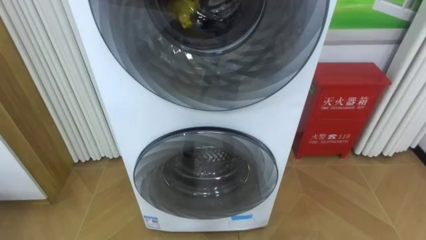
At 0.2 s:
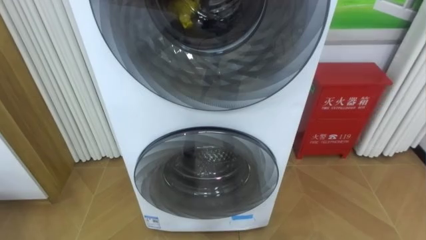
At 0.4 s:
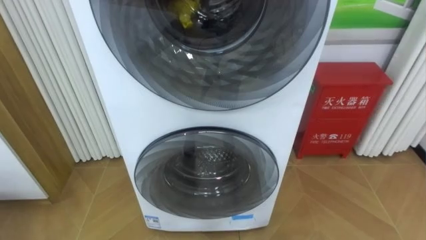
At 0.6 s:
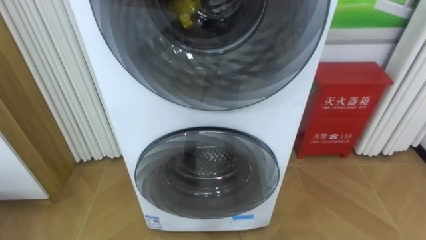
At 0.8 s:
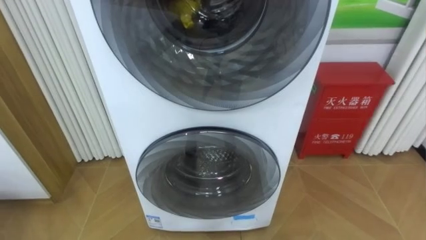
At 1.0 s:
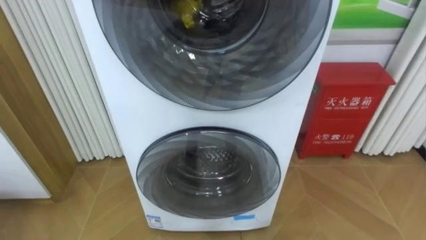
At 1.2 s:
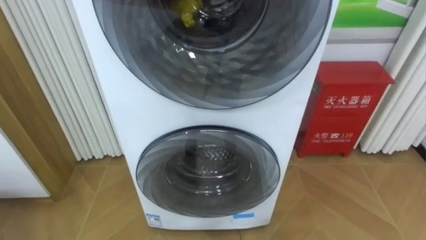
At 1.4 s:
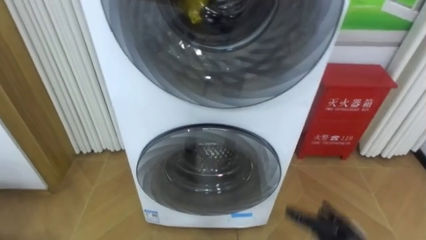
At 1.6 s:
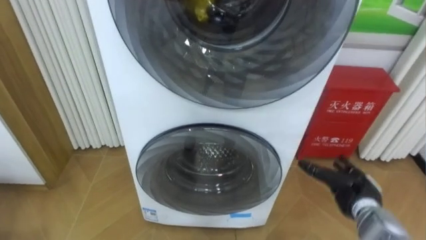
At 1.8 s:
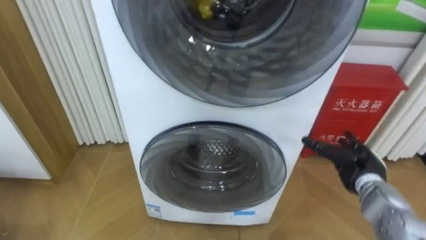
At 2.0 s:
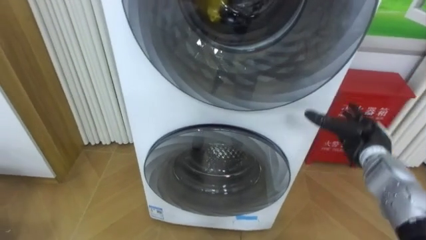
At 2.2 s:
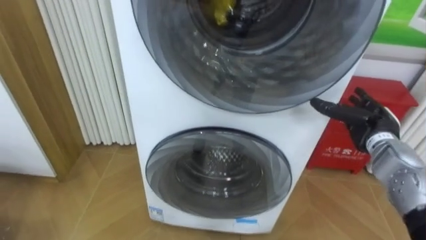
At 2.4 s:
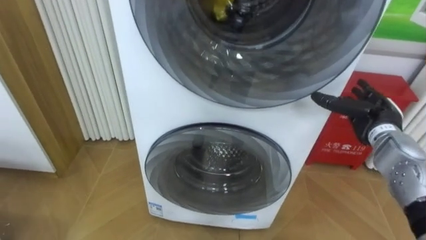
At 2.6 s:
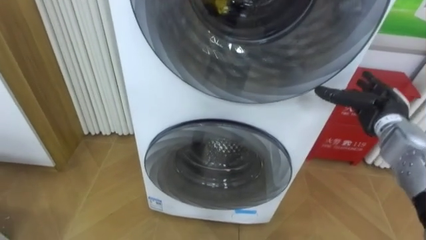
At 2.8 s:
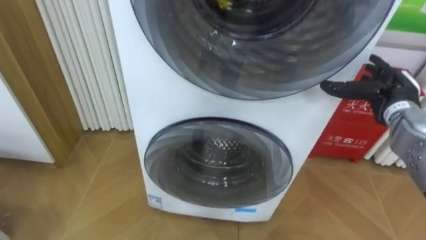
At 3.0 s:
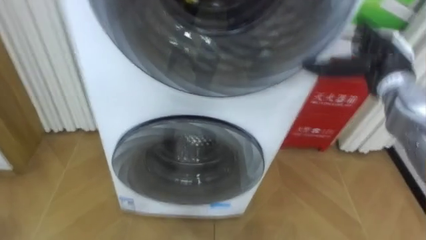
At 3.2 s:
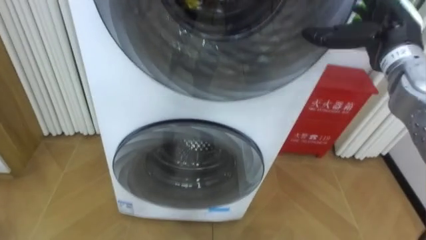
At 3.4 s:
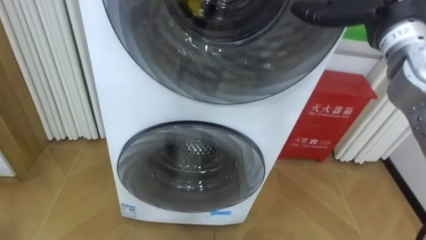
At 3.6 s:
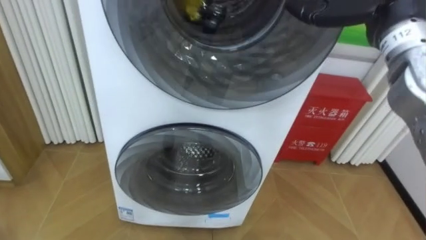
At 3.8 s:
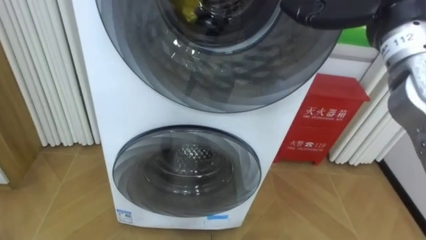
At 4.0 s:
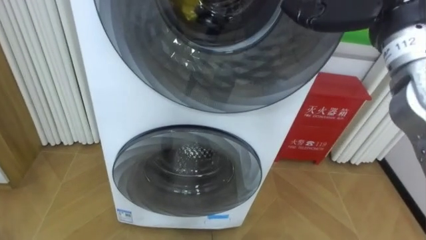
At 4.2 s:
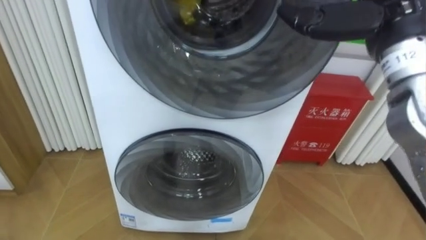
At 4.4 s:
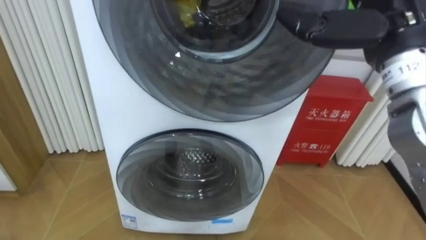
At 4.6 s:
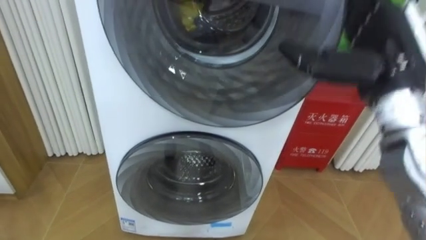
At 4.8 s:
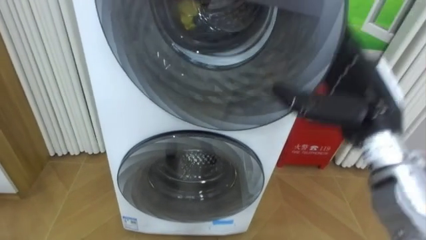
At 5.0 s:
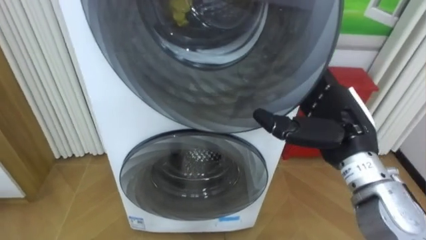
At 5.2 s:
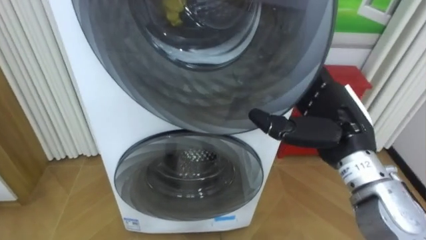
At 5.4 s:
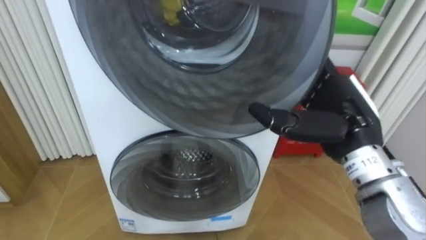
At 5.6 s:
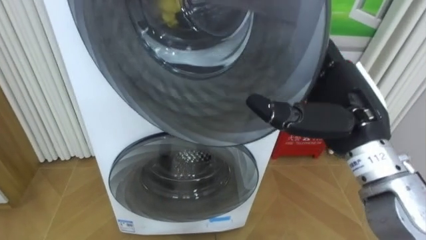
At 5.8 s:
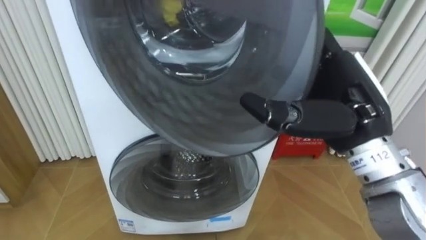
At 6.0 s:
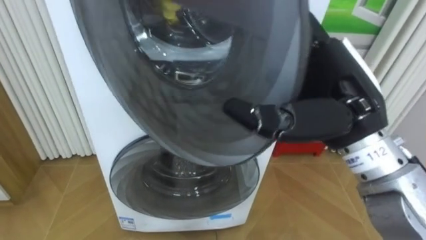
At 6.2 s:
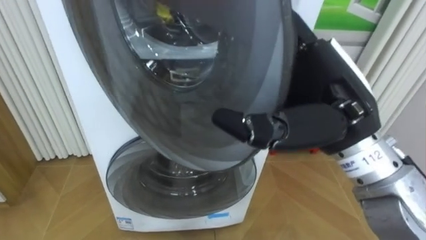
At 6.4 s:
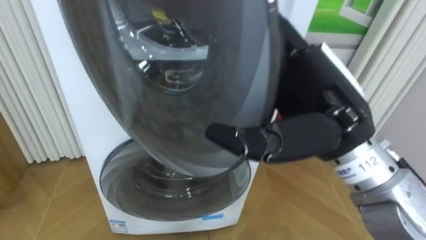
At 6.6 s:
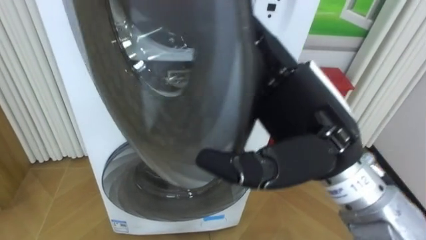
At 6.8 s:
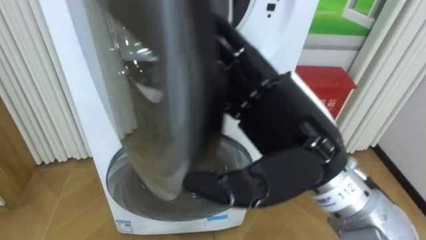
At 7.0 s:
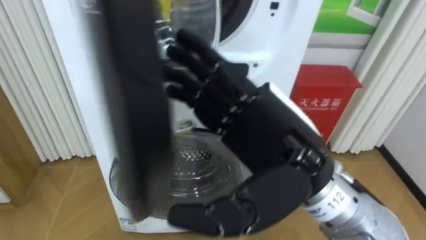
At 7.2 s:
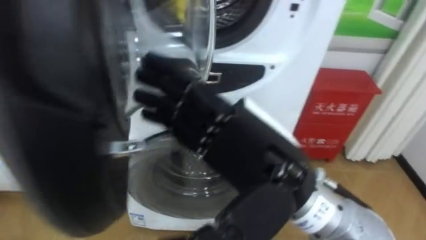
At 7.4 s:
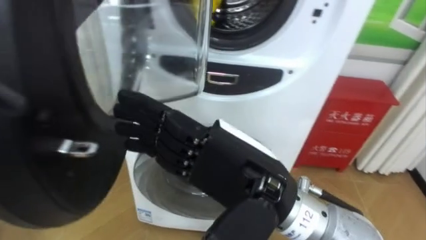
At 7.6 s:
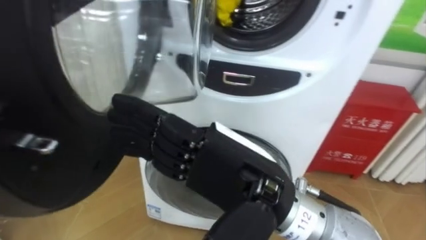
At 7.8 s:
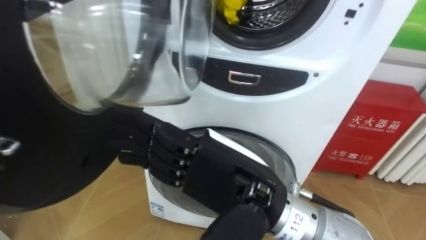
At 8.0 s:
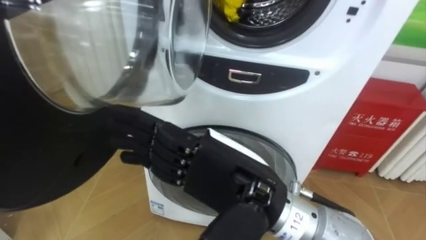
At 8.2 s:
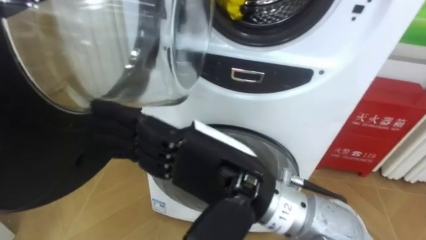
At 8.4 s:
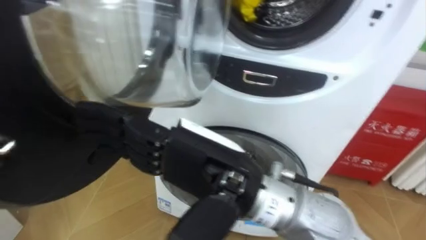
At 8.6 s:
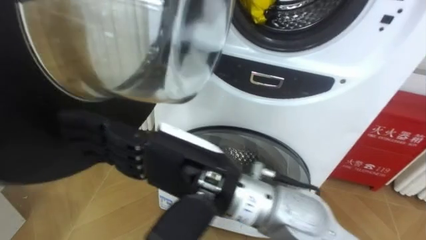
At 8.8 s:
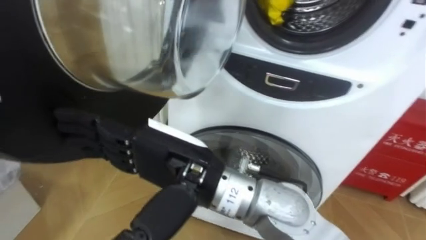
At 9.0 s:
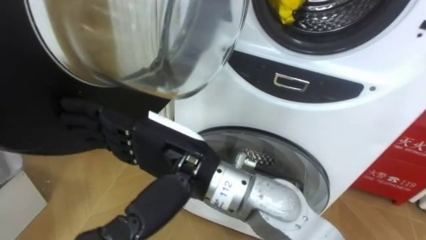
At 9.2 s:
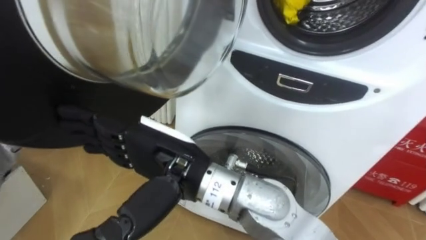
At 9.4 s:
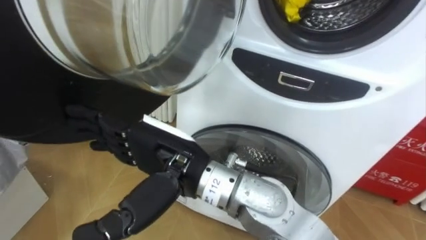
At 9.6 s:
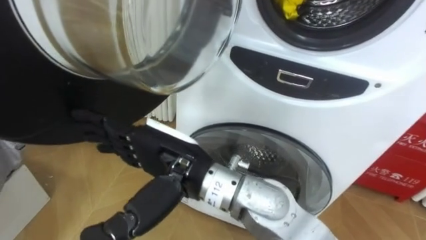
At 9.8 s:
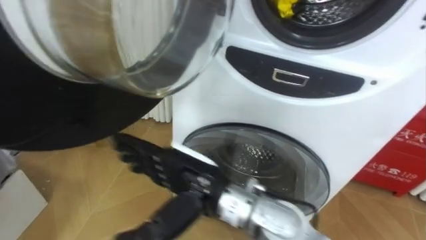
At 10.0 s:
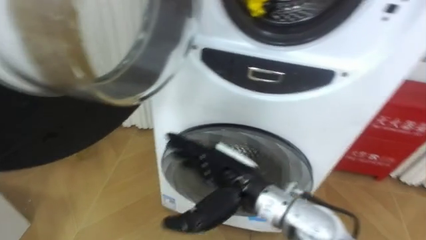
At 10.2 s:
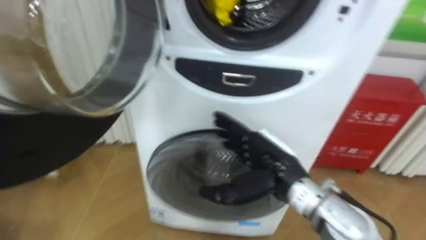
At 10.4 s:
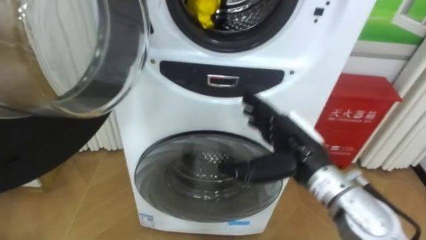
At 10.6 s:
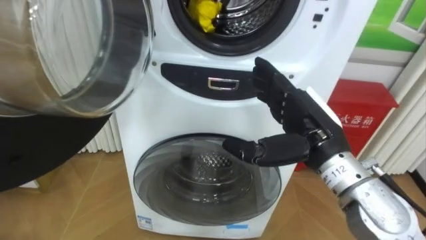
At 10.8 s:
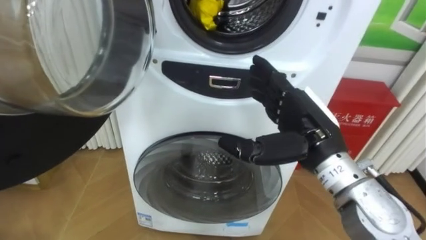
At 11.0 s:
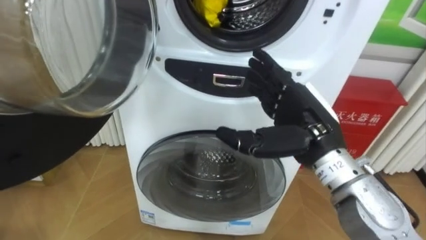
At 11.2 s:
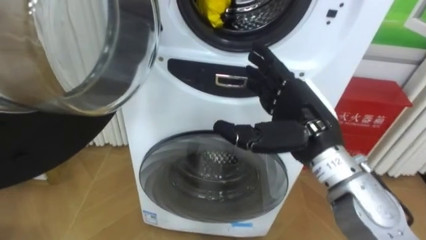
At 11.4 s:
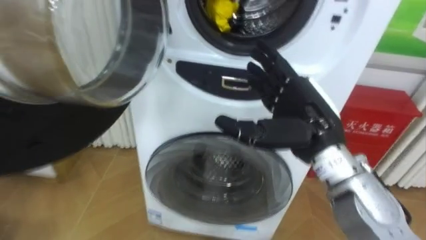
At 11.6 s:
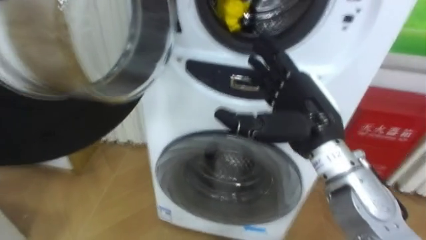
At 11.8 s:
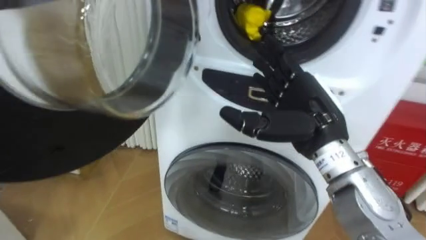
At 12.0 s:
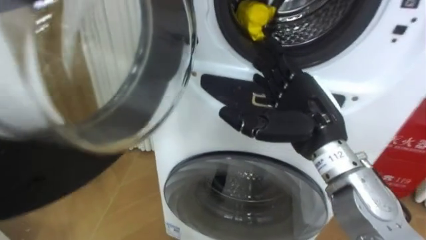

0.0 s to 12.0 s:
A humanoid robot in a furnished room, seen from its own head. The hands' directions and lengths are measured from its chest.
Task of the whole recording: Open the washing machine door, take out the yellow clothes, place them in the box on the right, and close the washing machine door.
1.6 to 3.0 s: The right hand is displaced upward and forward by approximately 25 cm.
4.4 to 6.0 s: The right hand moves backward, to the left and downward, some 10 cm.
6.0 to 7.6 s: The right hand travels to the left and backward by approximately 15 cm.
7.6 to 9.0 s: The right hand heads to the left, covering approximately 10 cm.
9.0 to 10.4 s: The right hand goes approximately 20 cm to the right, downward and forward.
10.4 to 12.0 s: The right hand moves upward, about 5 cm.

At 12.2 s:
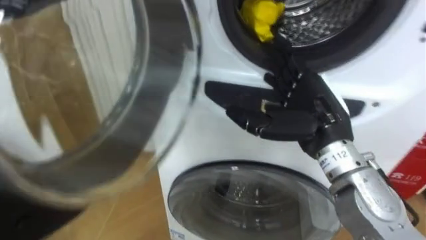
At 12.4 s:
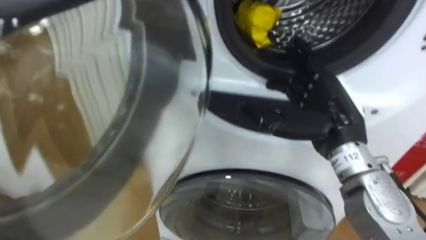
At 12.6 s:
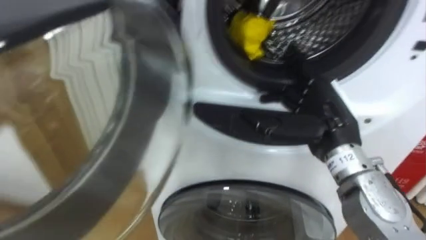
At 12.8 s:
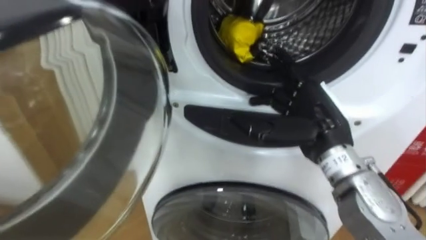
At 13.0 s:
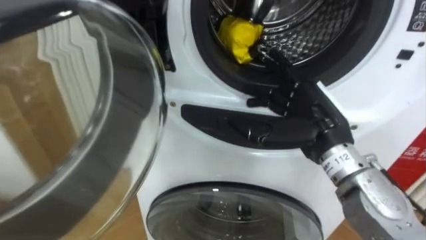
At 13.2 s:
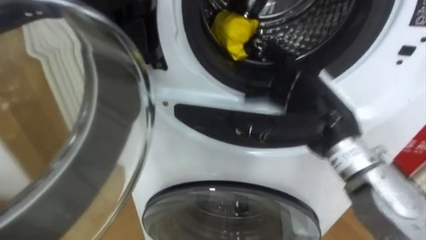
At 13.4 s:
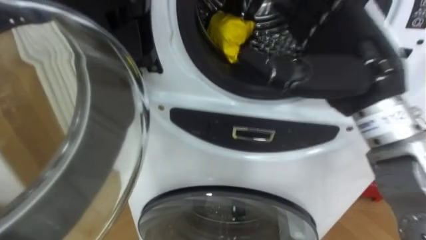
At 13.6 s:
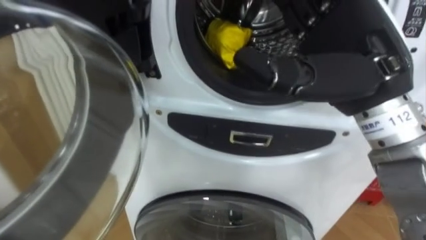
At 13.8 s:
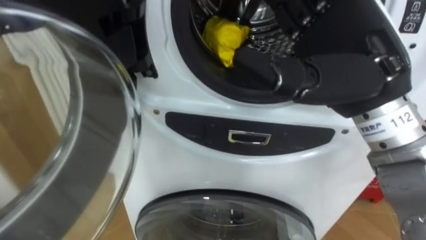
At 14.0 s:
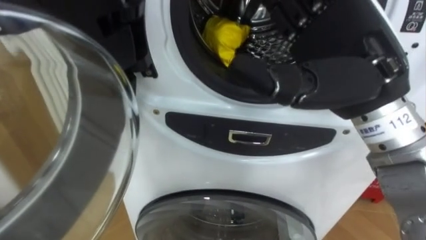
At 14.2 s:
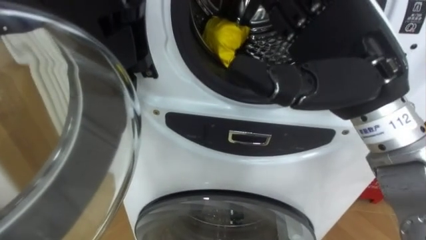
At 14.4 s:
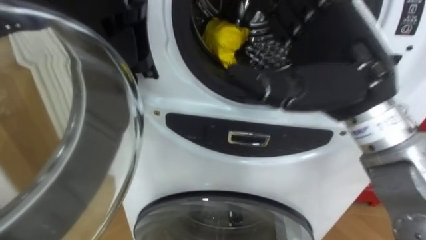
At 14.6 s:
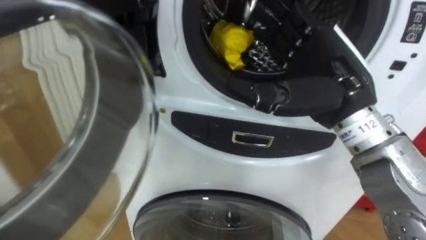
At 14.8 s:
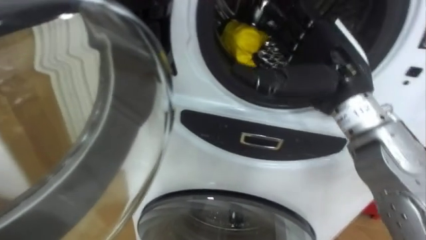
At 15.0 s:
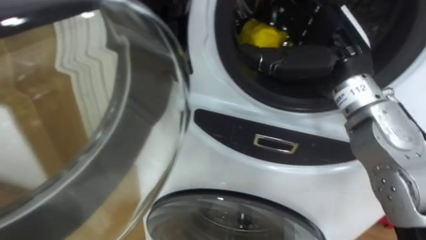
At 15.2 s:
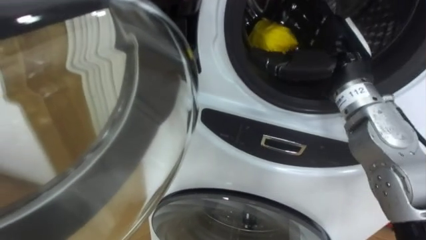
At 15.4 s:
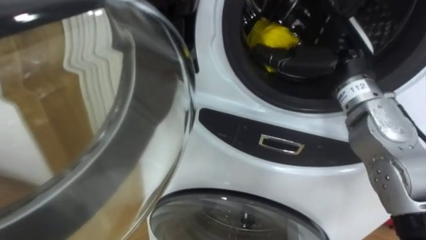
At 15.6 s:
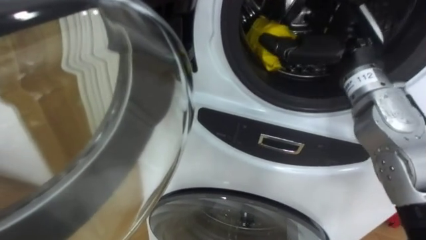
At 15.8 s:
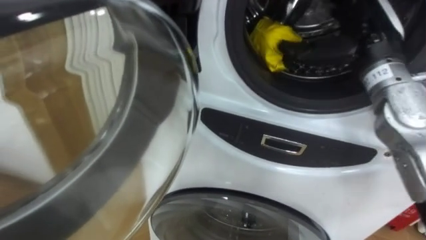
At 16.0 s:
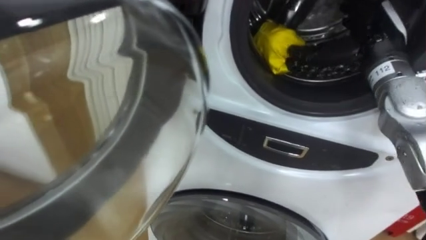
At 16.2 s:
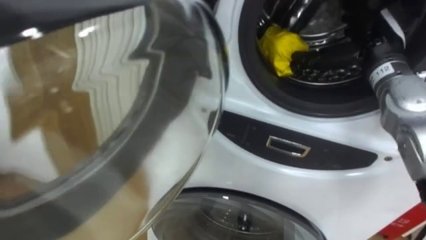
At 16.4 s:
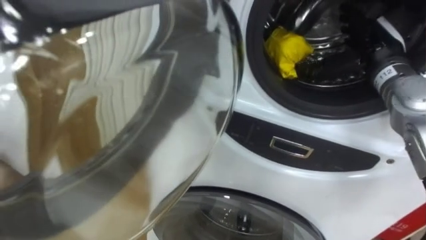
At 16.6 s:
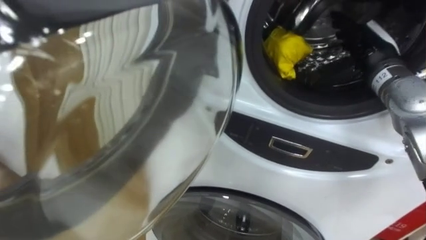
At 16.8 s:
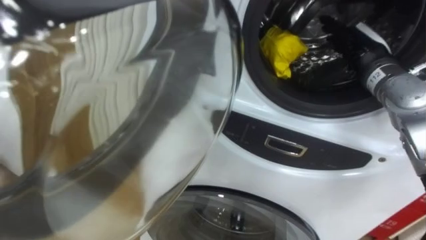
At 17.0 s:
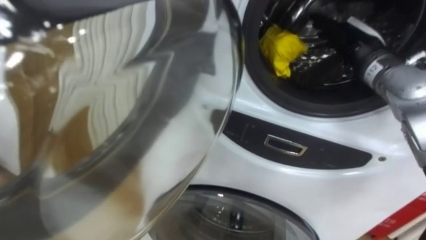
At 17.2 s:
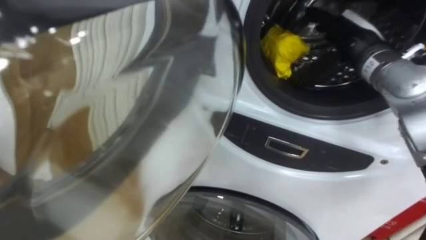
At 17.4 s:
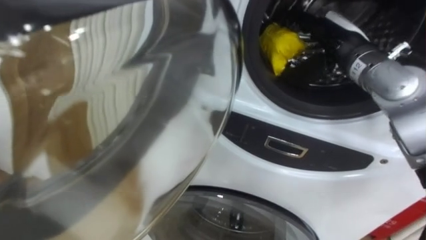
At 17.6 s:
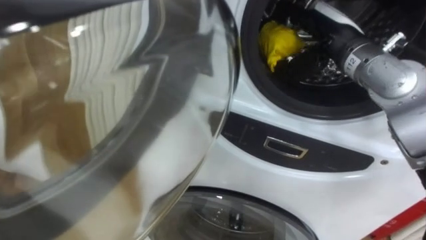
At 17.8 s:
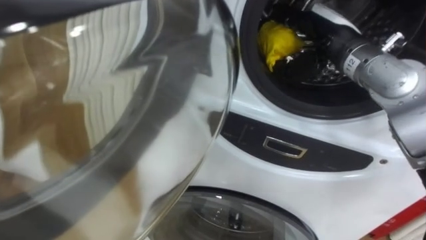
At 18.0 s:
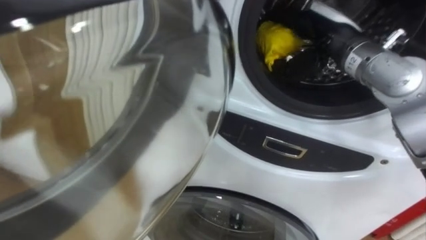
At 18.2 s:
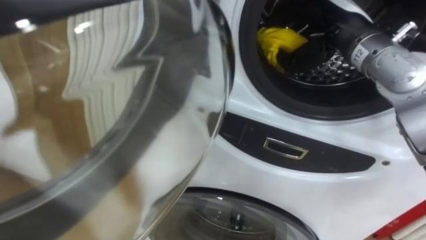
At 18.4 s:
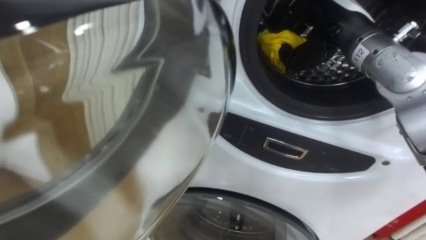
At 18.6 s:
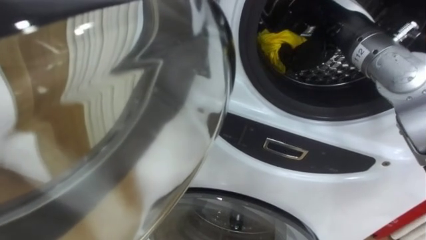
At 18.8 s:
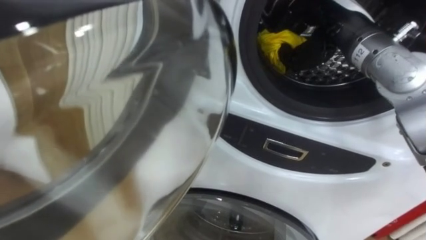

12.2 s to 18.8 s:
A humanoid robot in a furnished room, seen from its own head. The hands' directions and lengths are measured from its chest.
Task of the whole recording: Open the washing machine door, take out the yellow clothes, place them in the box on the right, and close the washing machine door.
12.2 to 13.8 s: The right hand travels upward by approximately 10 cm.
13.8 to 15.4 s: The right hand is displaced forward and downward by some 15 cm.
17.2 to 18.8 s: The right hand shifts by roughly 5 cm, and closes up.
